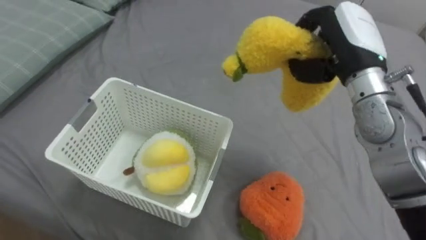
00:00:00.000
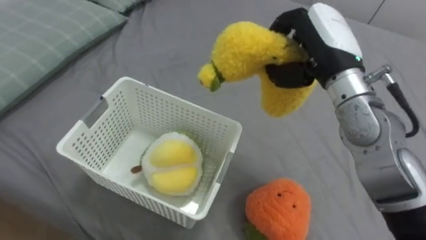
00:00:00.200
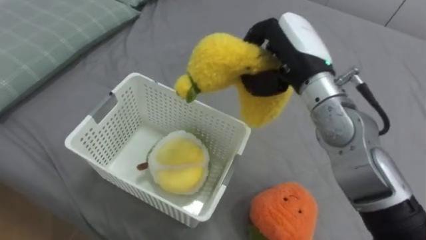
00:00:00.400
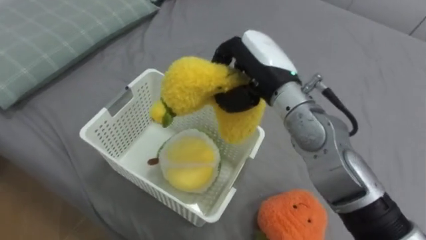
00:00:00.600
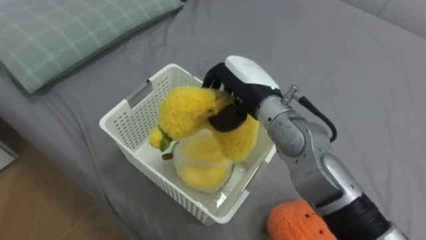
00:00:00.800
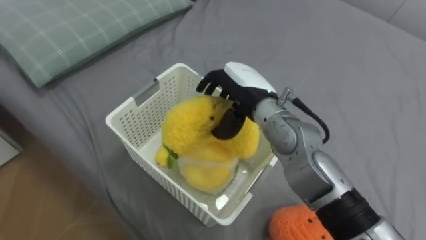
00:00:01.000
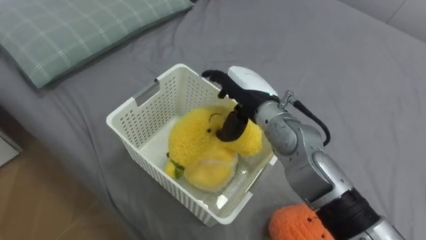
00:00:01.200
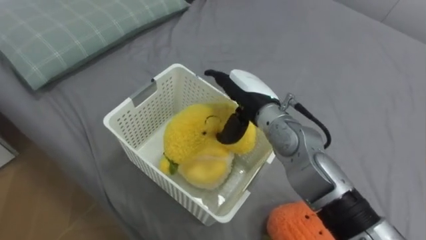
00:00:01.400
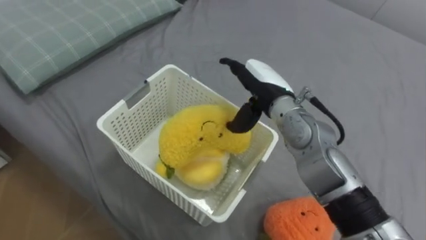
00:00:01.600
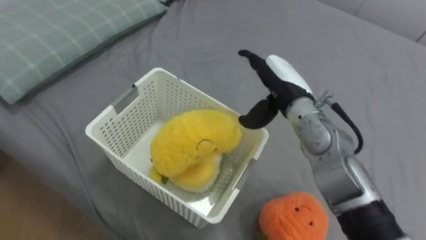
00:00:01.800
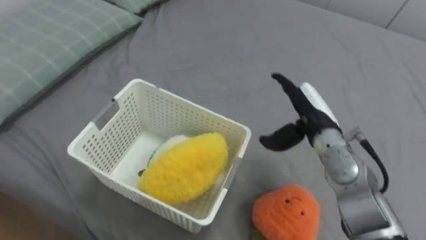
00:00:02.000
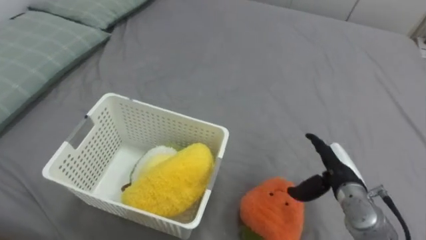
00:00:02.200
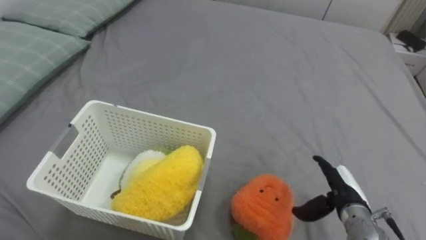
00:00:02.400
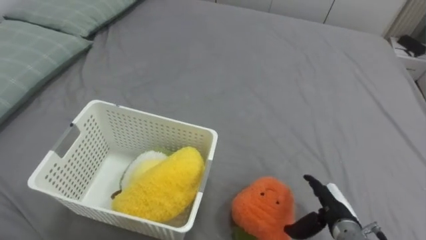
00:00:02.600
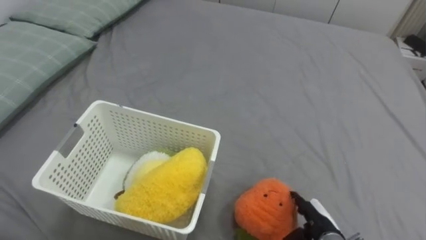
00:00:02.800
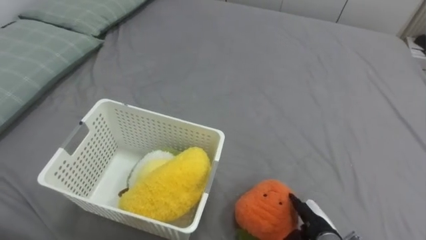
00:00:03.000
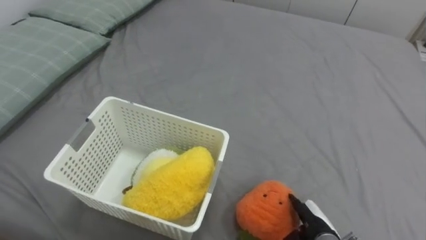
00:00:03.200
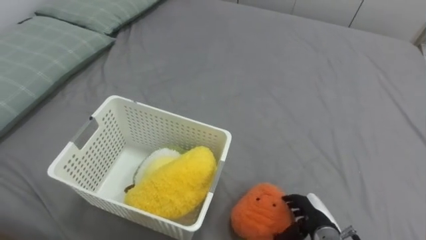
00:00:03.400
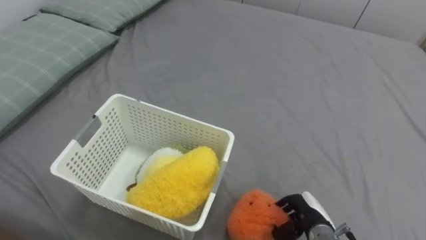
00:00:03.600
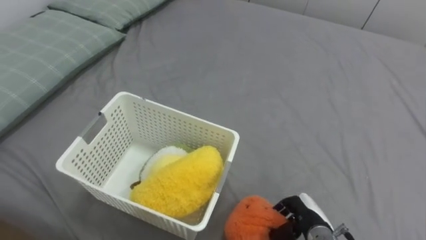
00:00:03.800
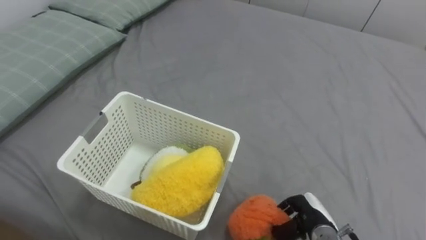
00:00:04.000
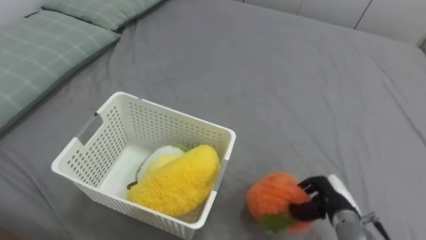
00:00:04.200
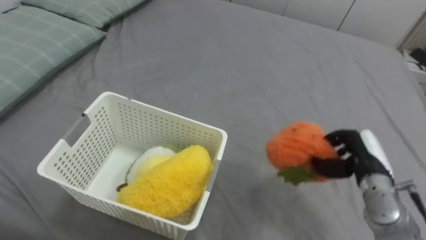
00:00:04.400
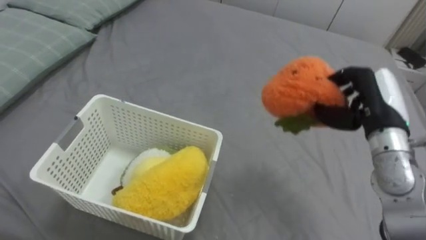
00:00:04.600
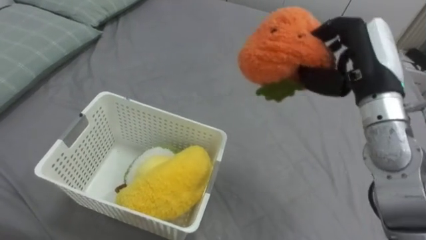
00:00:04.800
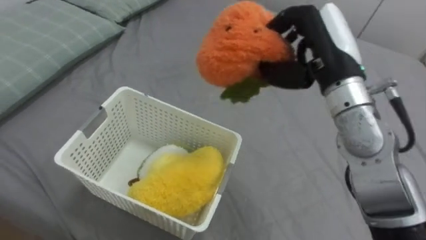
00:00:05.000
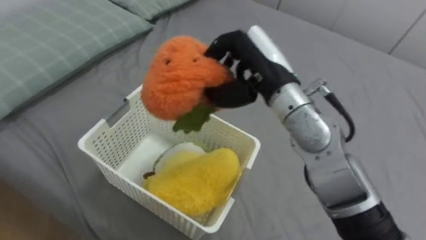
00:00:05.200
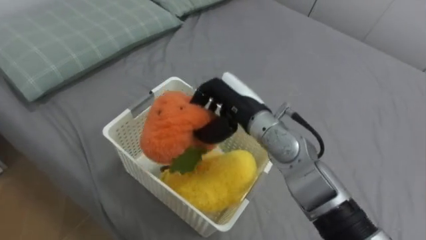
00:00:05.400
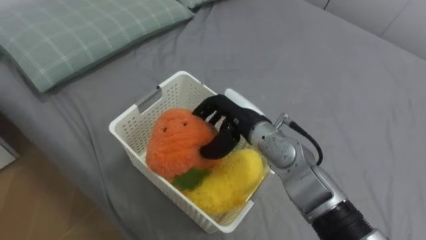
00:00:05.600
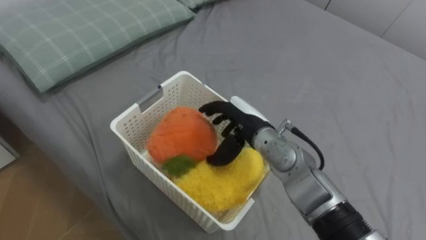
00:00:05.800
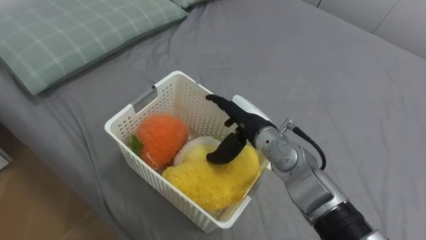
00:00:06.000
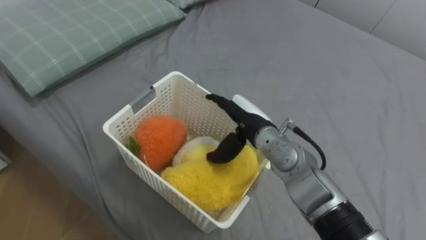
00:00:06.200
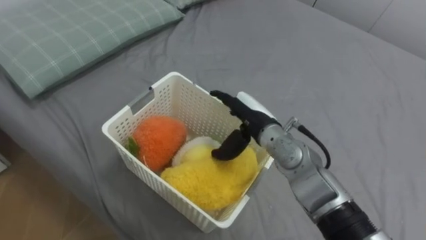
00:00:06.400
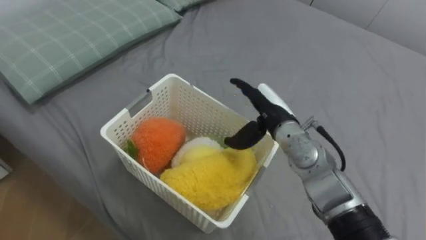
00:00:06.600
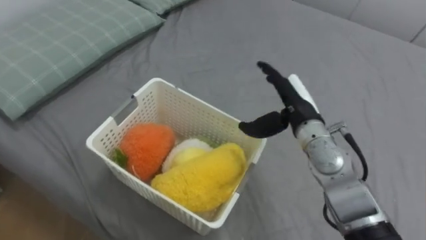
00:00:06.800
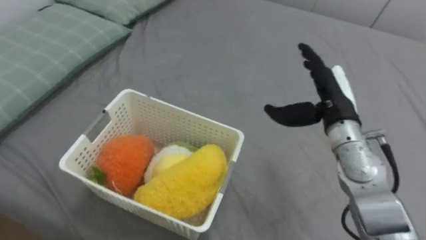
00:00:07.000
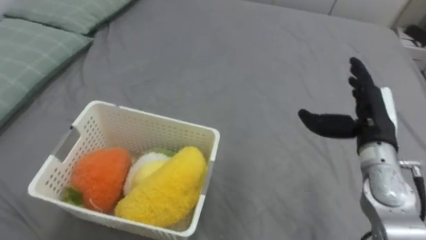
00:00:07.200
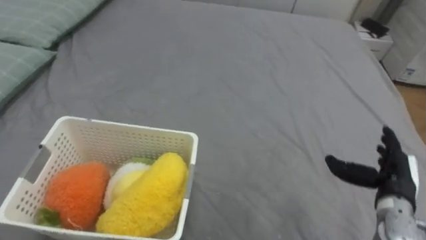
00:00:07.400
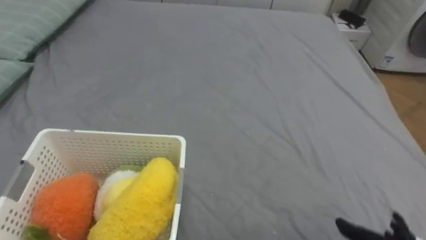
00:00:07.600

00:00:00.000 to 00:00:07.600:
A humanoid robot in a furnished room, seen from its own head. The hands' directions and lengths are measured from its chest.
Task of the whole recording: Put the toys on the bed into the basket on the left.
00:00:00.000 to 00:00:01.600: The right hand heads to the left and downward, covering some 15 cm, and opens its fingers.
00:00:01.600 to 00:00:03.000: The right hand is displaced downward, backward and to the right by roughly 30 cm.
00:00:03.000 to 00:00:04.600: The right hand goes approximately 25 cm upward and forward, and closes.
00:00:04.600 to 00:00:06.000: The right hand travels to the left by approximately 20 cm, and opens its fingers.

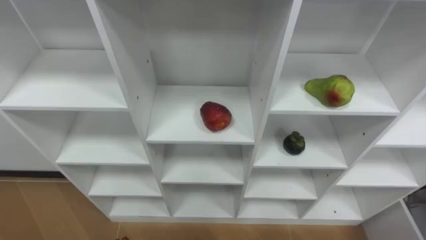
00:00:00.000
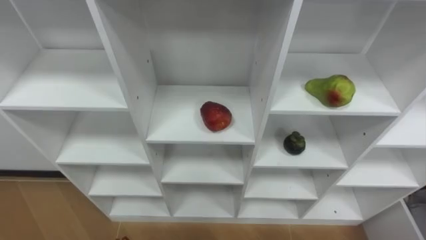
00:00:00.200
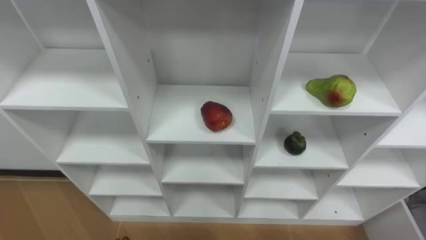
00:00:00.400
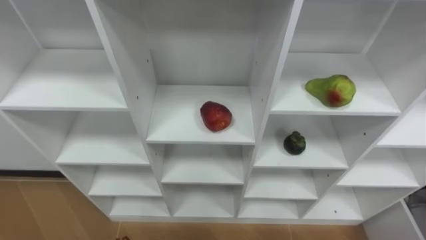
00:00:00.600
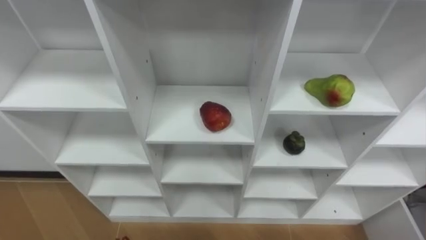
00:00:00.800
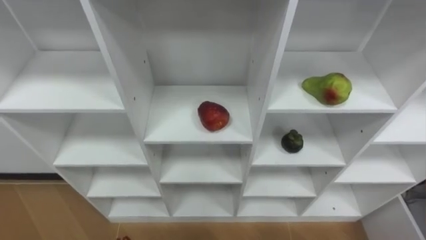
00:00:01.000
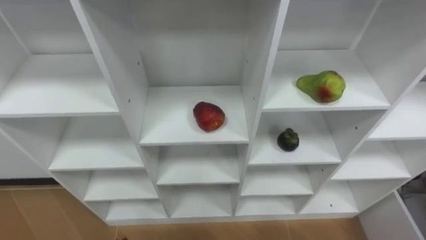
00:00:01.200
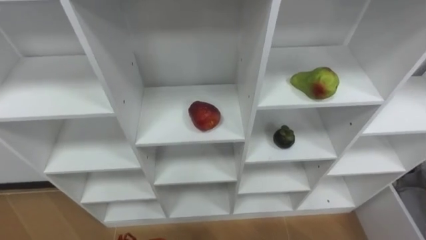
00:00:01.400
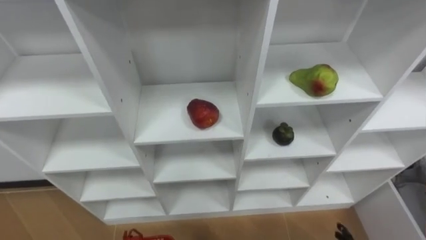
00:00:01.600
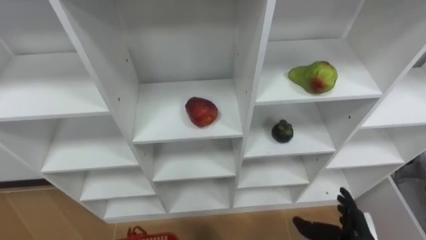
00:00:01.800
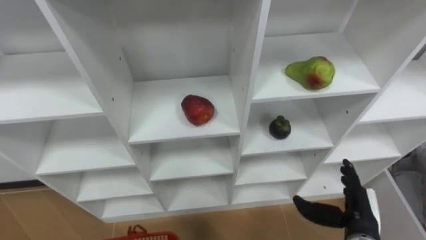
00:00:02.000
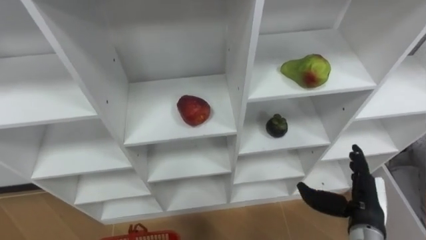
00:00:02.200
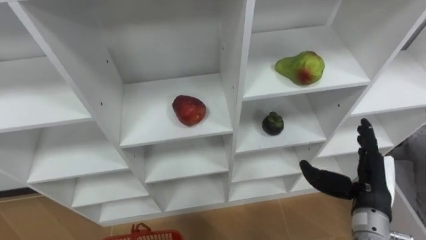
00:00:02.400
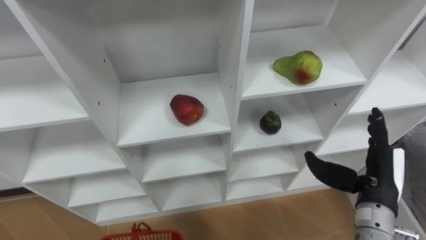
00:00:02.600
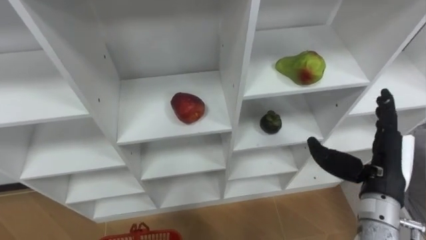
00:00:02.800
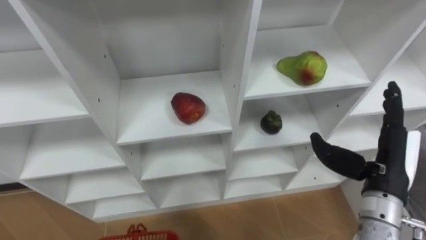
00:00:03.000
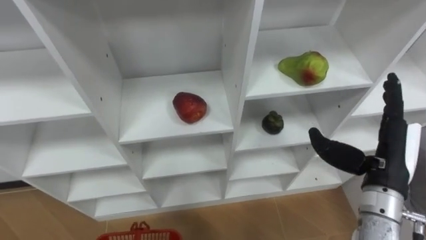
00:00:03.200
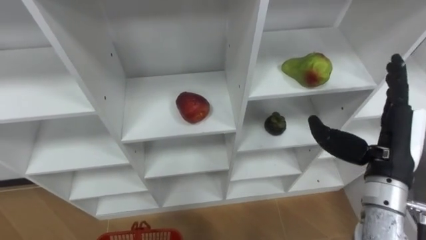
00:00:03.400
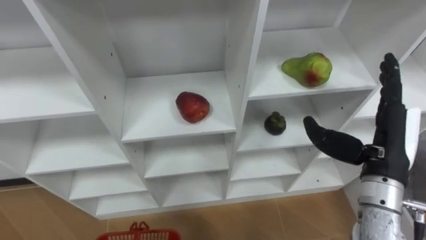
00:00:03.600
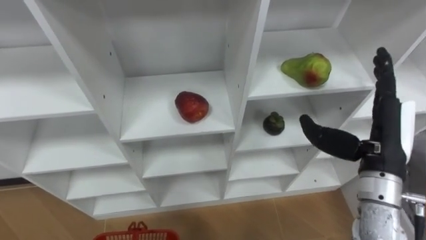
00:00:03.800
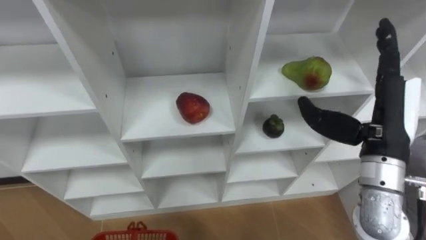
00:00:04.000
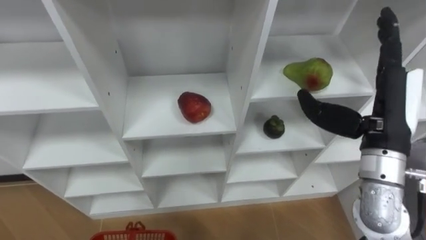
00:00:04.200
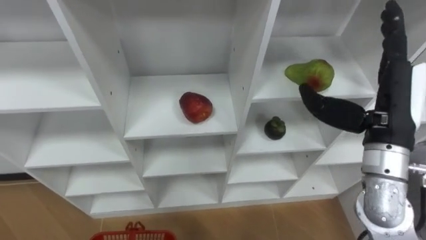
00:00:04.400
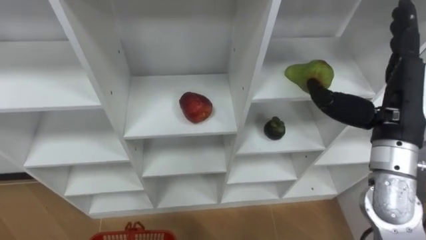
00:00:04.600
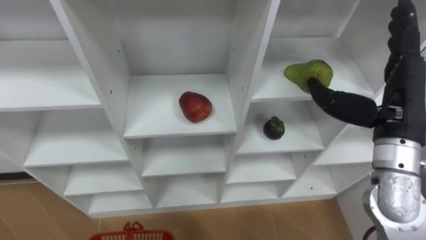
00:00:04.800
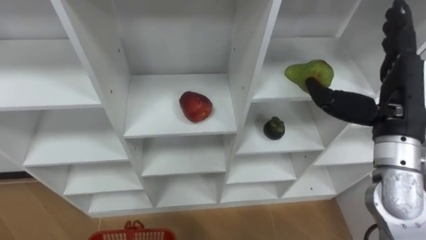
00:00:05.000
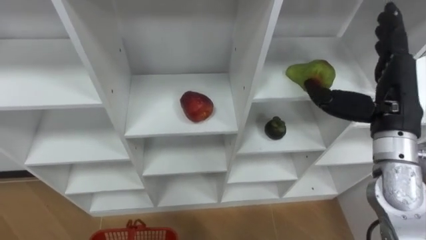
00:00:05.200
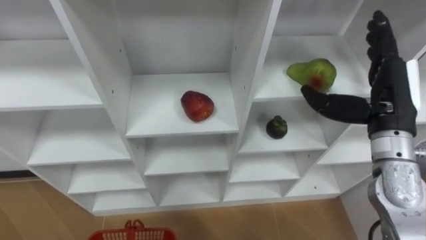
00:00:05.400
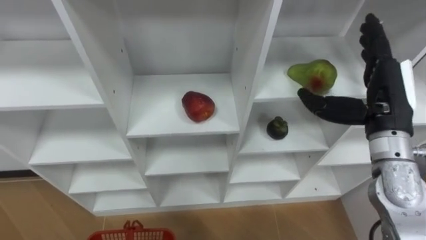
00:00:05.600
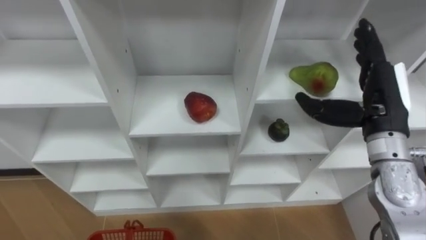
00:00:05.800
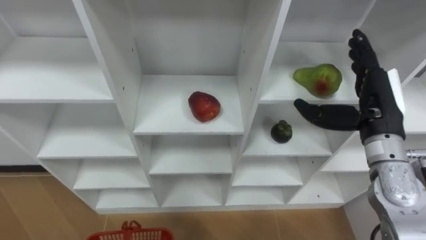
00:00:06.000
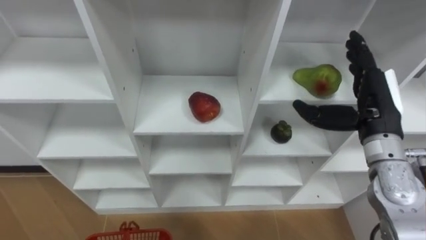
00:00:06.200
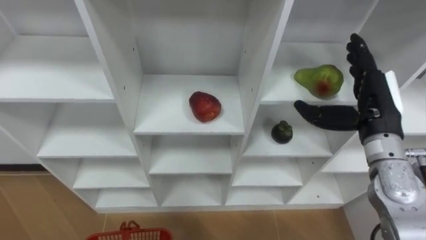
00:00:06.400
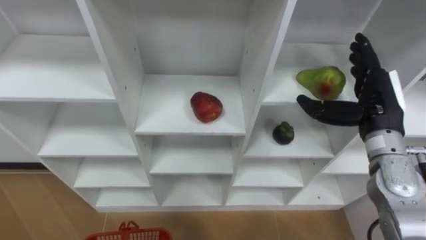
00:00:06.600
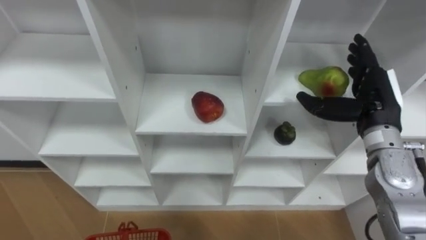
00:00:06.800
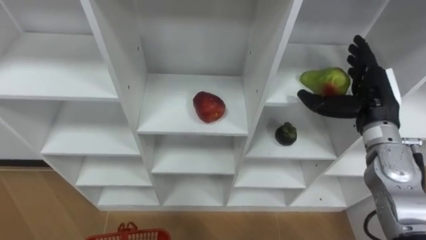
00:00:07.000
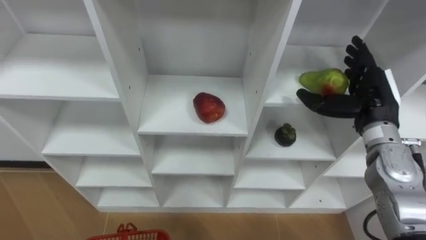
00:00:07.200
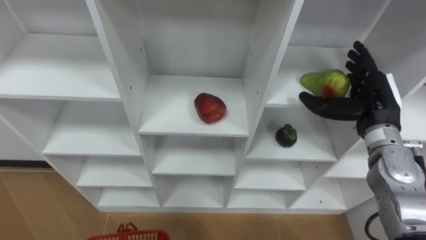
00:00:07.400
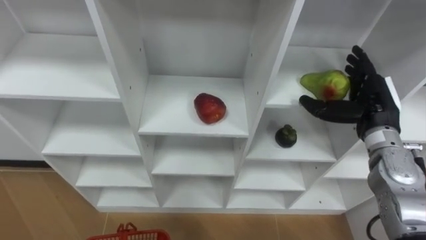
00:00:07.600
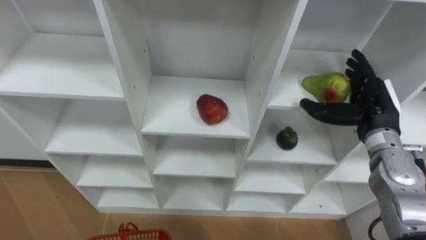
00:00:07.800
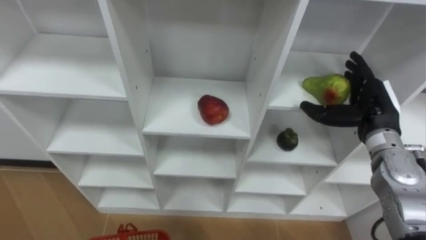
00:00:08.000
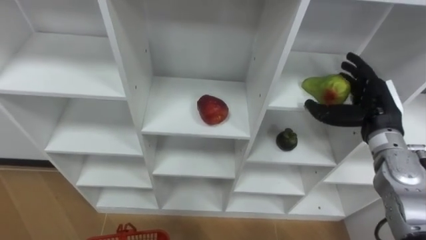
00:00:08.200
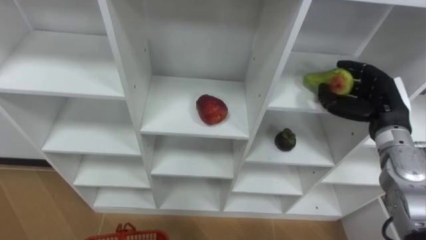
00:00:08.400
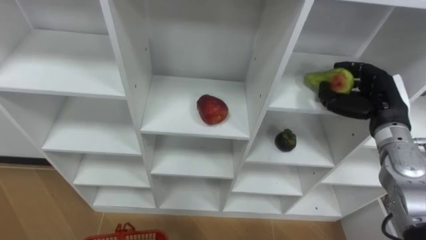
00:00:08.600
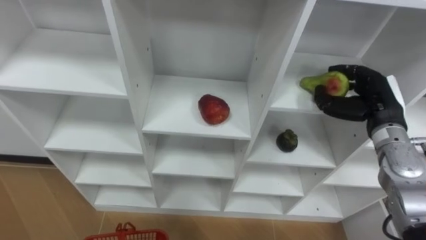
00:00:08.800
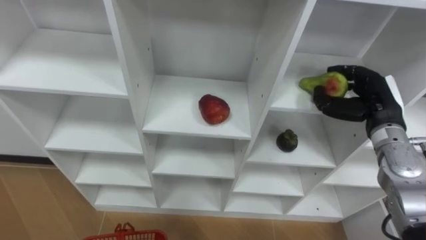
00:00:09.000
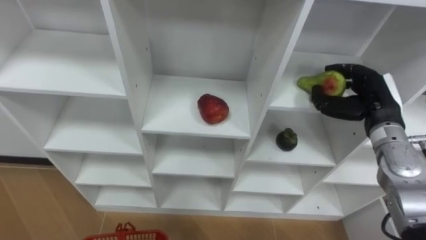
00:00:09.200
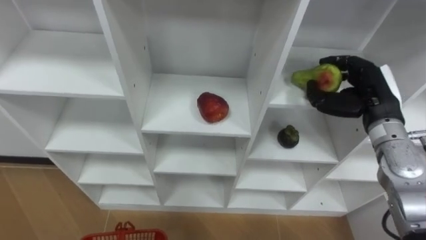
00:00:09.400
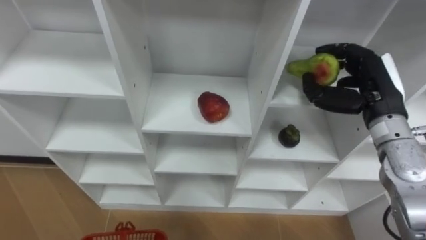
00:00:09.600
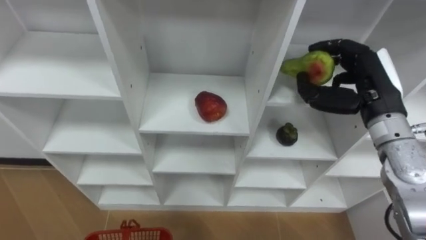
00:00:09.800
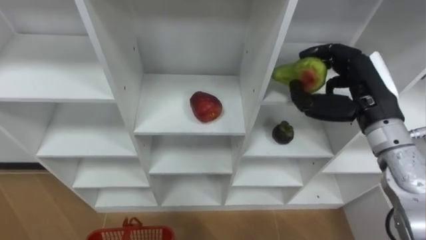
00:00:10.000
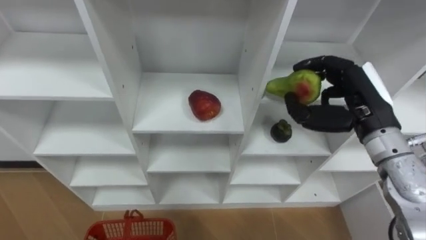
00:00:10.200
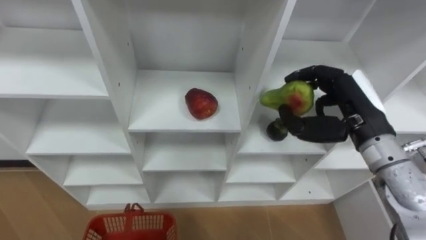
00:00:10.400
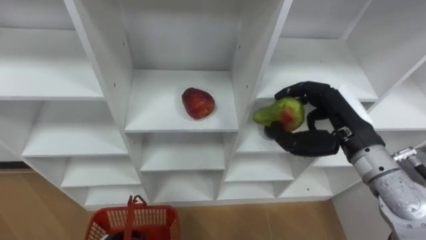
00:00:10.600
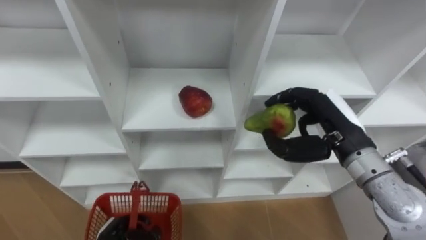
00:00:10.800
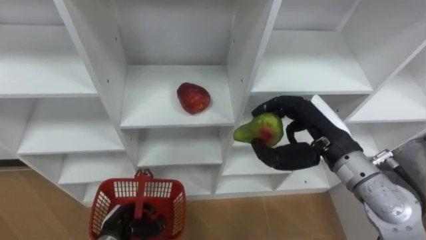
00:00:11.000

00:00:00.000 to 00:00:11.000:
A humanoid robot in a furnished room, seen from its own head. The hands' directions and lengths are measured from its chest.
Task of the whole recording: Hold the basket and collect the fruits from 3 different cells of the closet into it.
00:00:03.200 to 00:00:04.800: The right hand goes about 10 cm upward.
00:00:04.800 to 00:00:06.200: The right hand travels downward by some 5 cm.
00:00:06.200 to 00:00:07.800: The right hand shifts by about 5 cm.
00:00:07.800 to 00:00:09.400: The right hand closes.
00:00:09.400 to 00:00:11.000: The right hand is displaced to the left and backward by about 10 cm.
